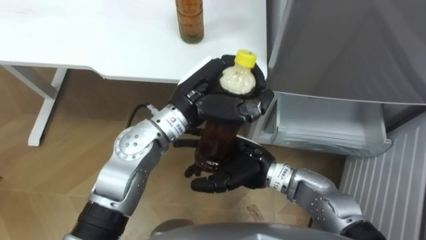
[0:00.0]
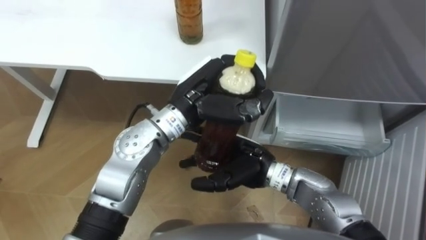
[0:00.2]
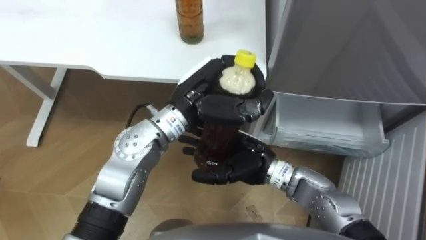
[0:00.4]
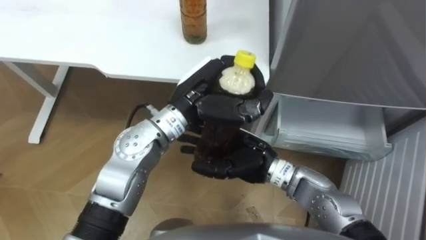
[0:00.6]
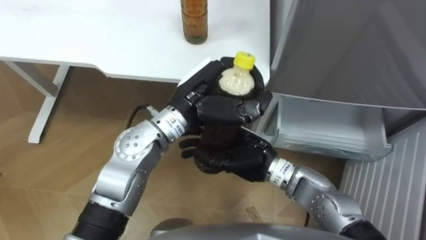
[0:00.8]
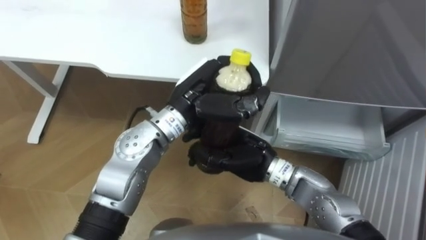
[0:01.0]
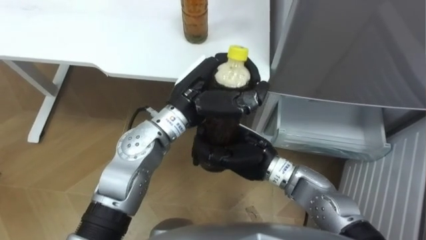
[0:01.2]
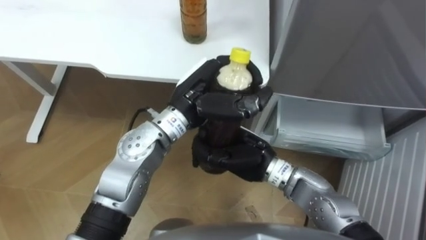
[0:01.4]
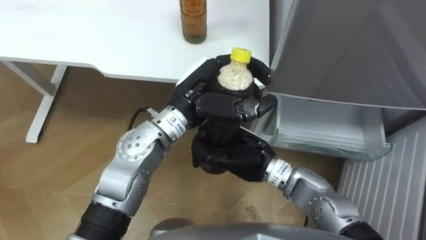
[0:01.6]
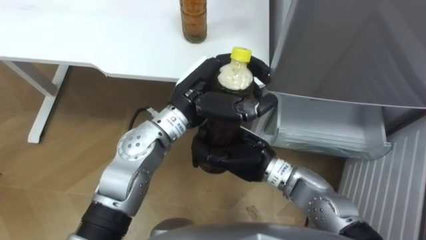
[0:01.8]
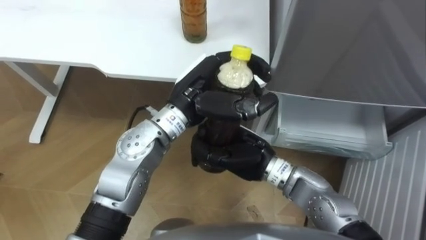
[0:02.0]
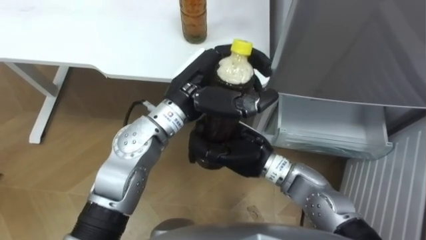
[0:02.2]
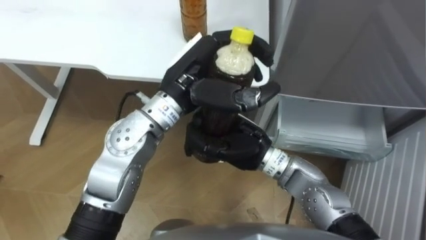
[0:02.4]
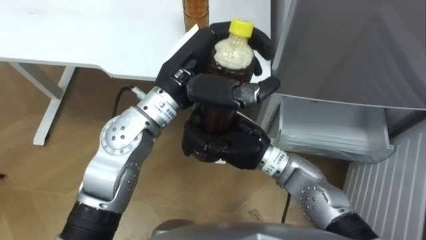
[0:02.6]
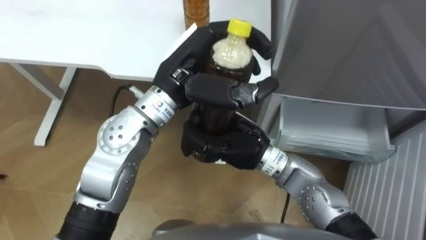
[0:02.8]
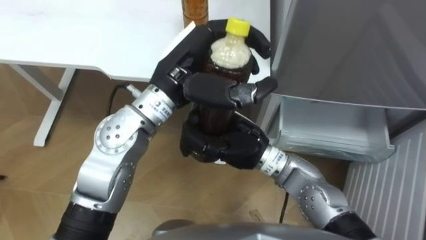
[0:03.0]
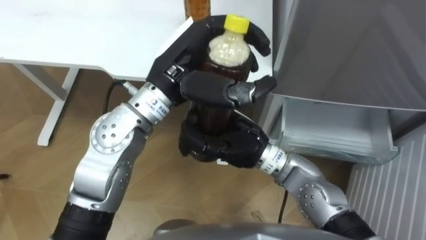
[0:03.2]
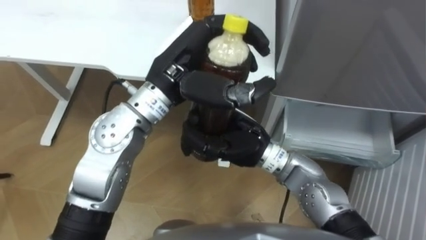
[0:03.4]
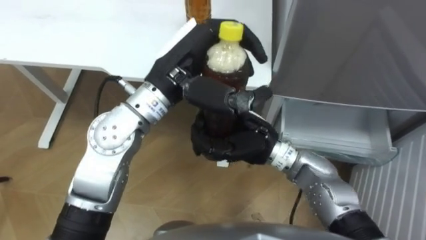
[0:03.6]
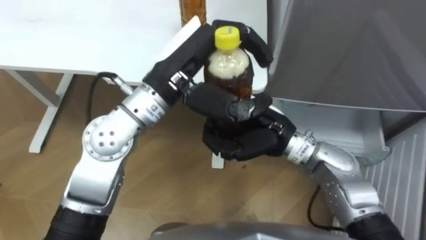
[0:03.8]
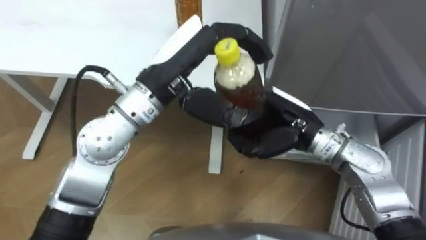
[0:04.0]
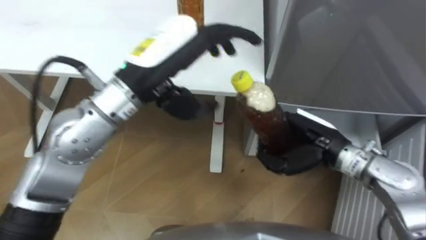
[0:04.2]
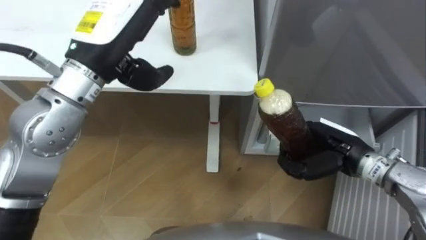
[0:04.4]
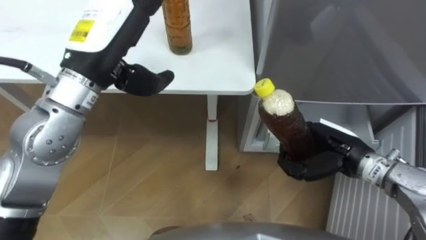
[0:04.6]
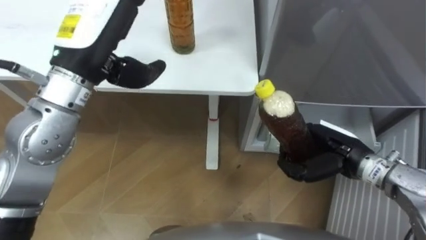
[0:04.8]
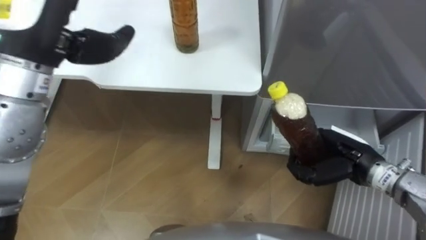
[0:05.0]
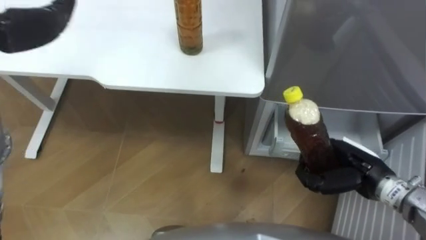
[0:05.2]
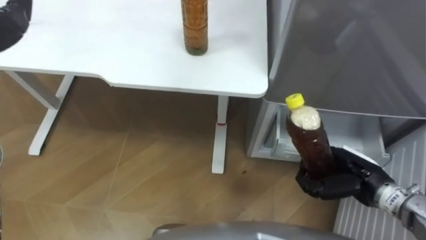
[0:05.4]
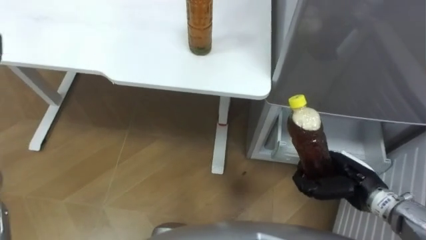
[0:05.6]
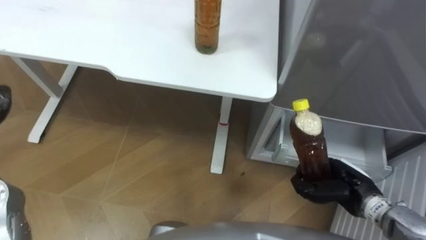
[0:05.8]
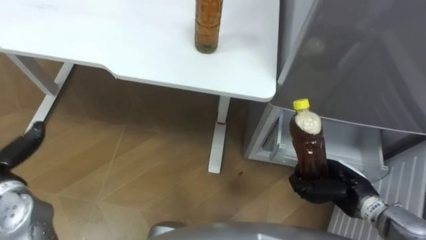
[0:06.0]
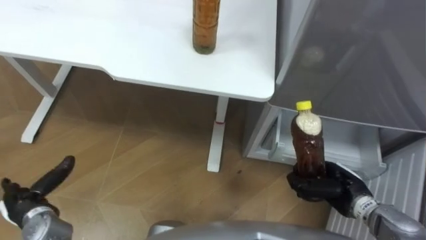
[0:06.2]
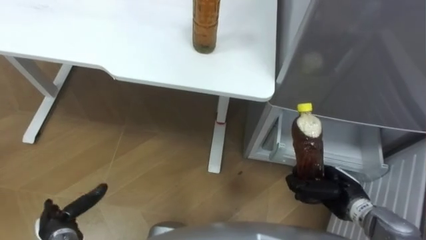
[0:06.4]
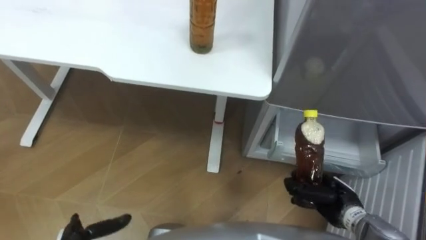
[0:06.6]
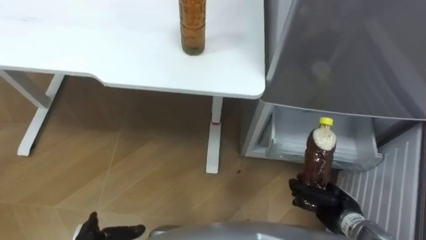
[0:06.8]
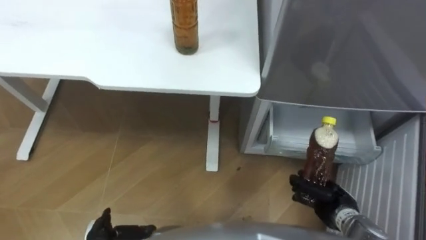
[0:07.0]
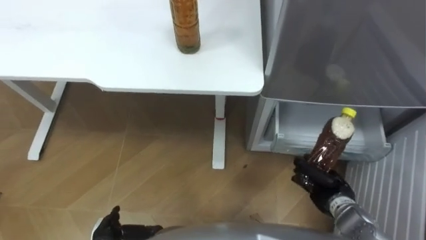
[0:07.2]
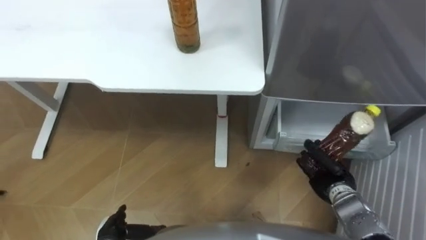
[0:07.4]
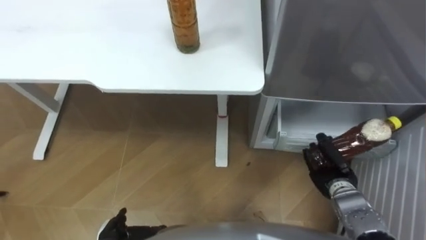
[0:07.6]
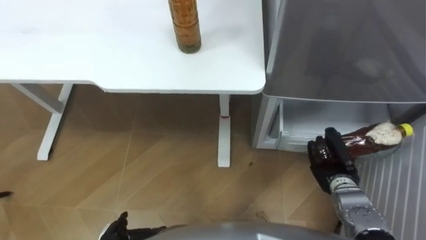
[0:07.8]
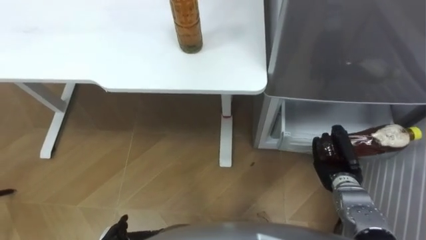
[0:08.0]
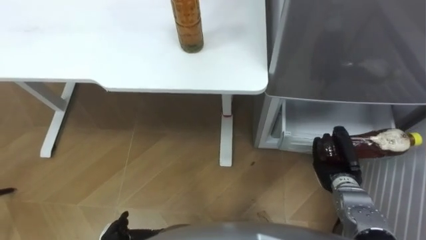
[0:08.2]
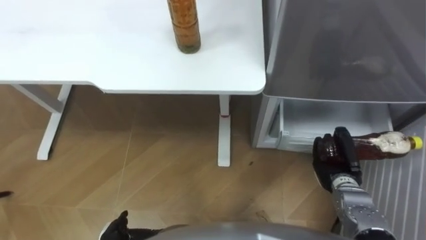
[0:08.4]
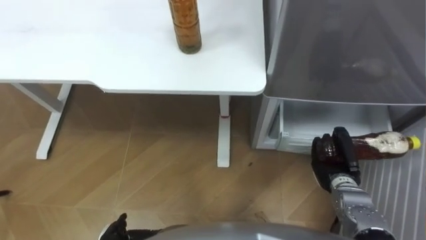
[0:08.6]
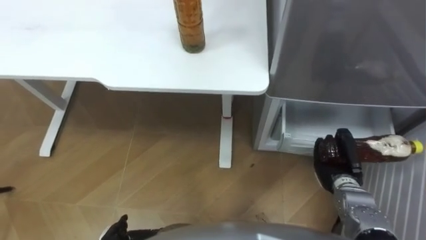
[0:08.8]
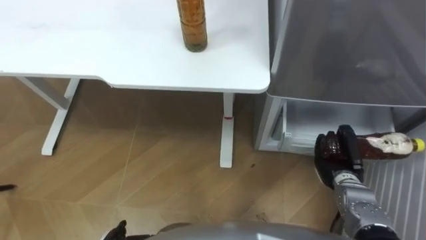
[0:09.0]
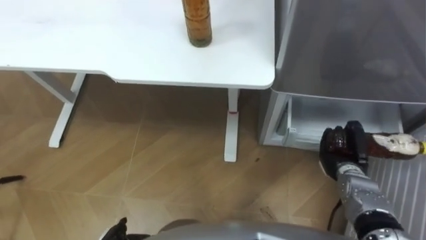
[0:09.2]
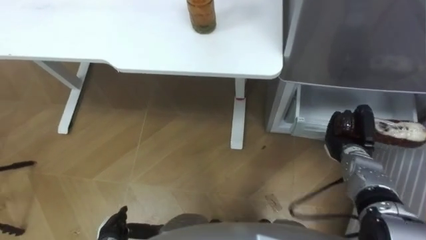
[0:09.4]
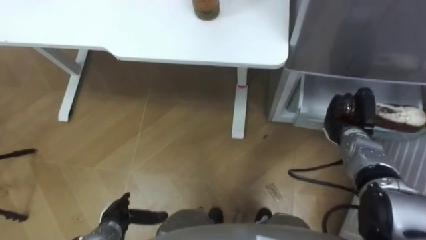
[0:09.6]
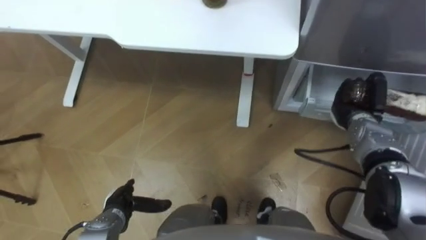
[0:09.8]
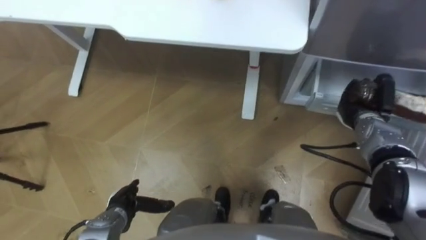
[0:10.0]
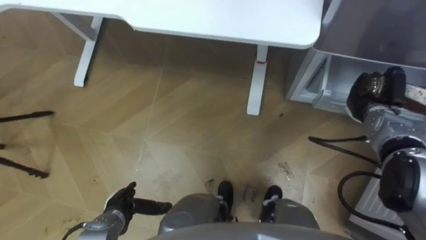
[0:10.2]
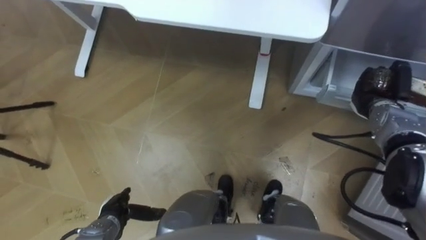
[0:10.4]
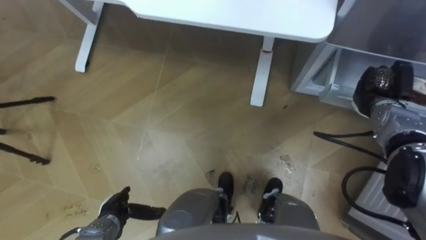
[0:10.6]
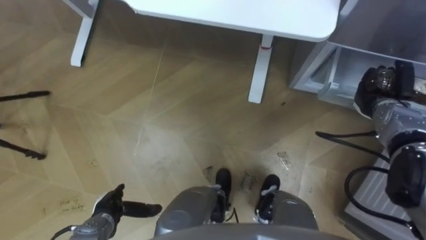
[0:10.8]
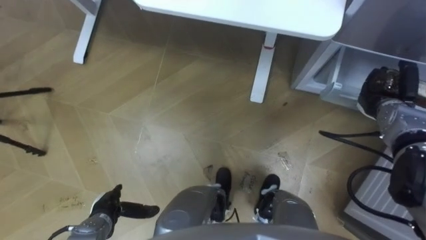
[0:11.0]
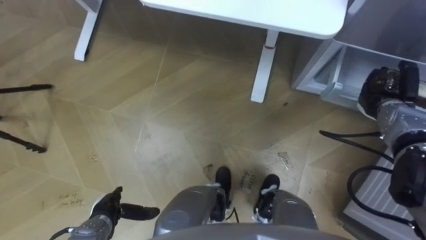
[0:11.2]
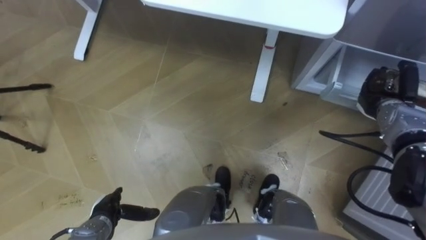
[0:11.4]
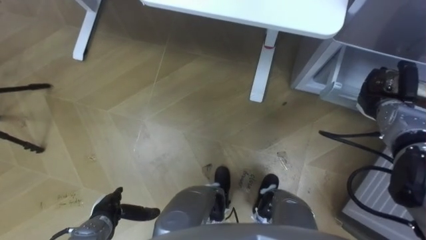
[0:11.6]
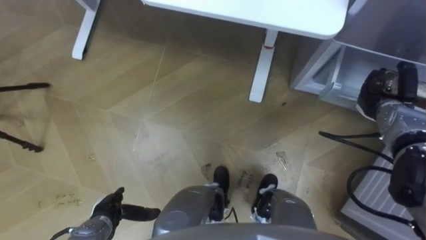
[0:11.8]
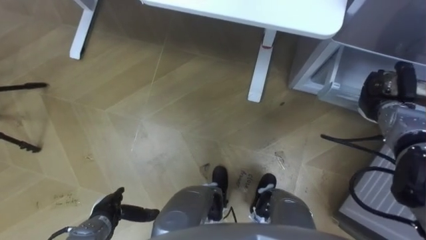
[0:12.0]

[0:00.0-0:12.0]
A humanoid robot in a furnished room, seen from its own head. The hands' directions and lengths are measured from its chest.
Task of the whole recording: Place the drink on the table on the bottom shelf of the refrigerator, then close the drawer and the refrigerator door.
0:00.0 to 0:01.6: The right hand closes up.
0:01.6 to 0:03.0: The left hand travels upward by some 5 cm.
0:03.0 to 0:04.4: The right hand heads to the right, covering about 20 cm. Meanwhile the left hand shifts roughly 10 cm to the left and upward, and opens its fingers.
0:04.4 to 0:06.0: The right hand moves downward and backward, roughly 10 cm.
0:06.0 to 0:07.6: The right hand moves downward, roughly 5 cm.
0:09.0 to 0:10.4: The right hand heads forward, upward and to the right, covering approximately 15 cm.

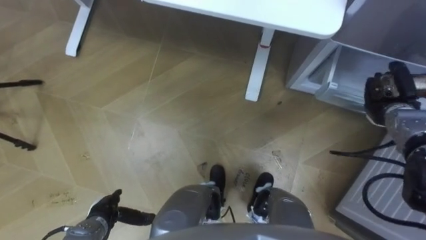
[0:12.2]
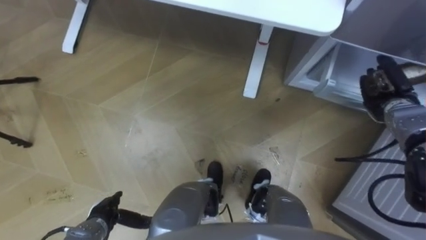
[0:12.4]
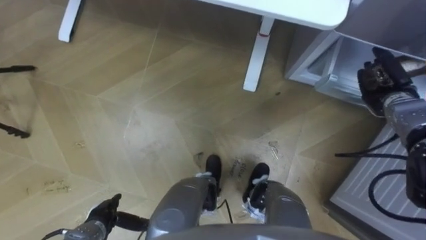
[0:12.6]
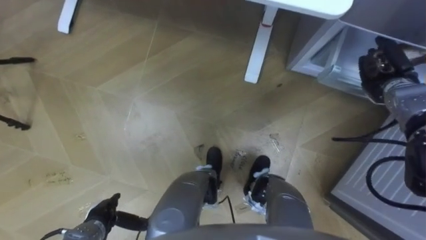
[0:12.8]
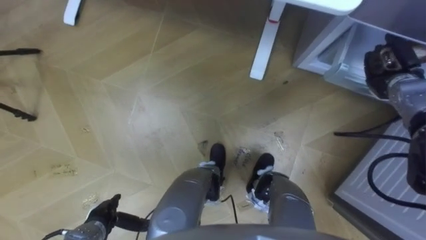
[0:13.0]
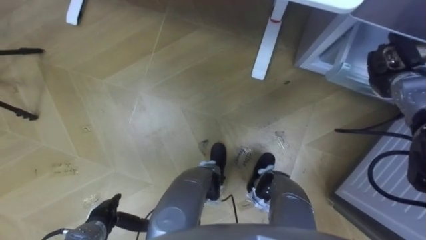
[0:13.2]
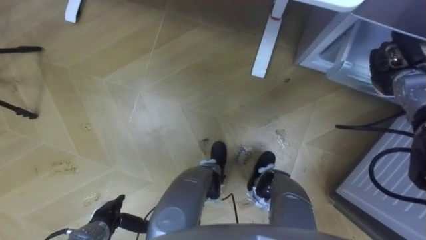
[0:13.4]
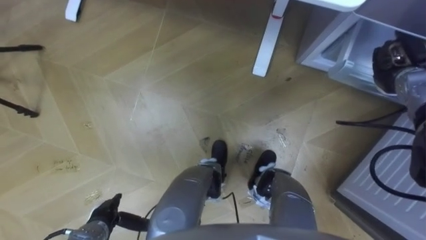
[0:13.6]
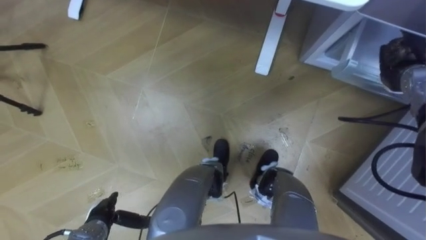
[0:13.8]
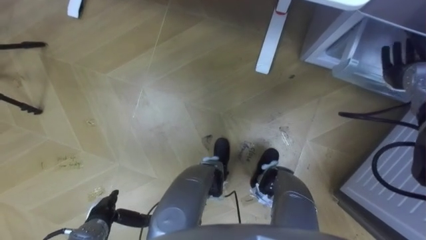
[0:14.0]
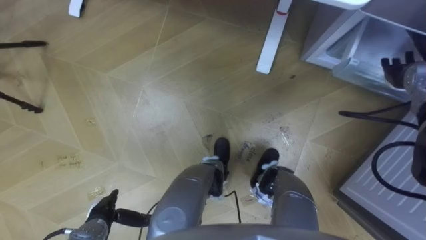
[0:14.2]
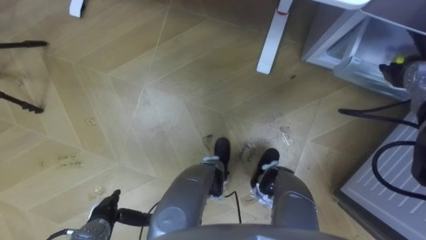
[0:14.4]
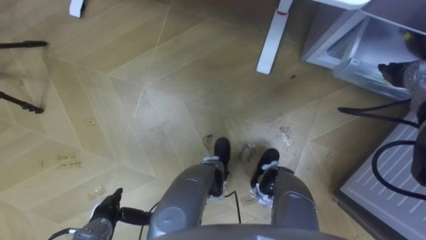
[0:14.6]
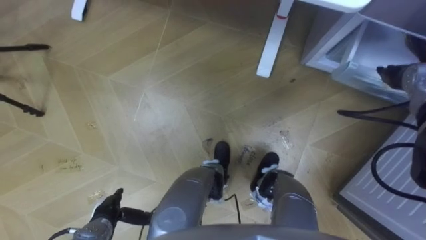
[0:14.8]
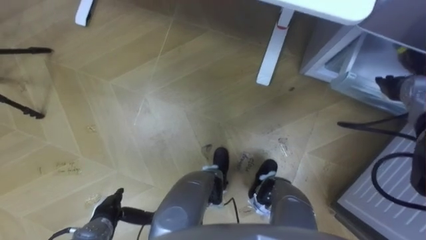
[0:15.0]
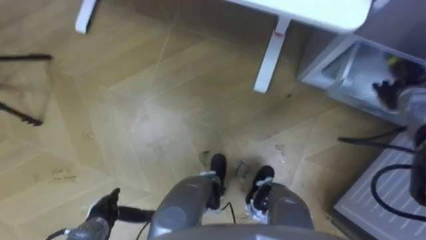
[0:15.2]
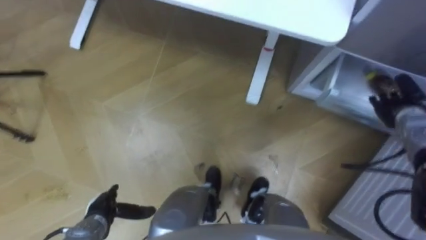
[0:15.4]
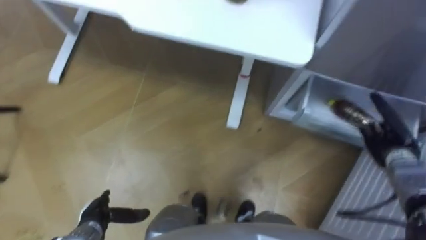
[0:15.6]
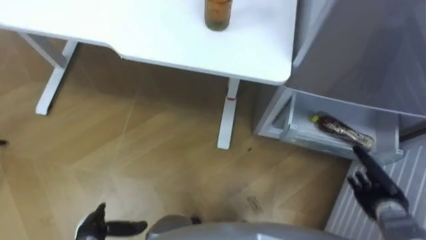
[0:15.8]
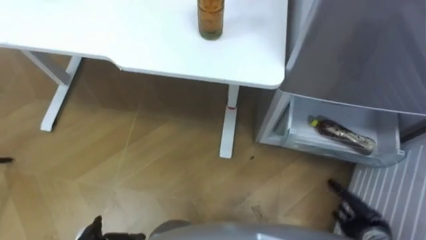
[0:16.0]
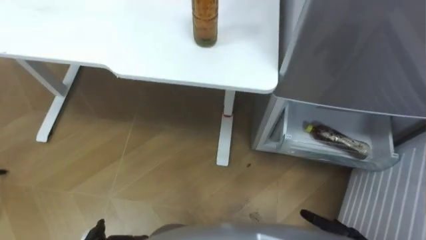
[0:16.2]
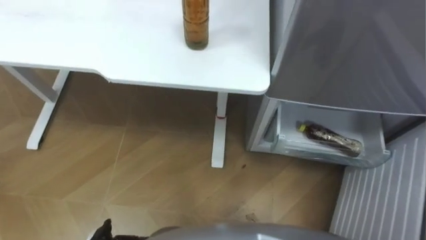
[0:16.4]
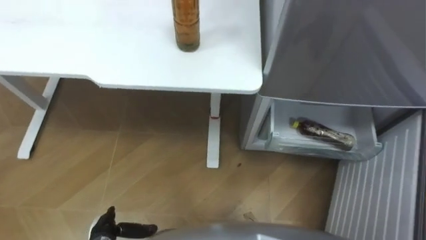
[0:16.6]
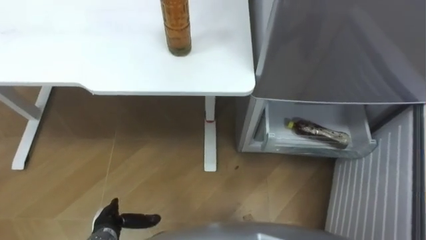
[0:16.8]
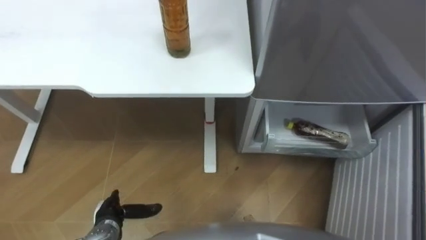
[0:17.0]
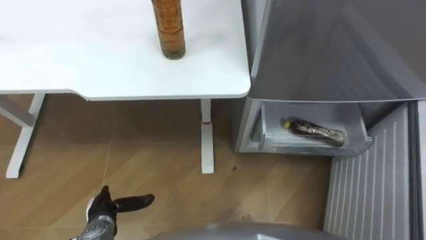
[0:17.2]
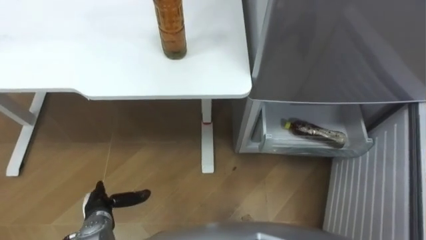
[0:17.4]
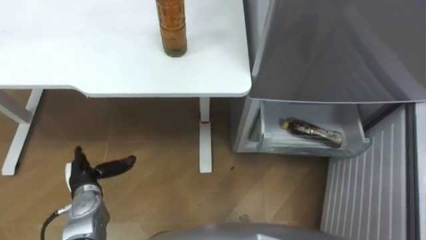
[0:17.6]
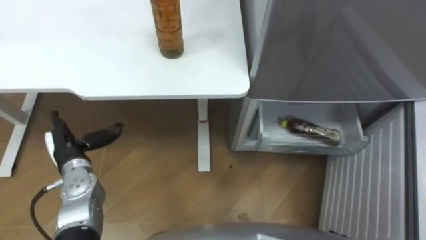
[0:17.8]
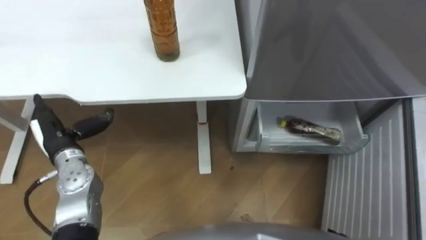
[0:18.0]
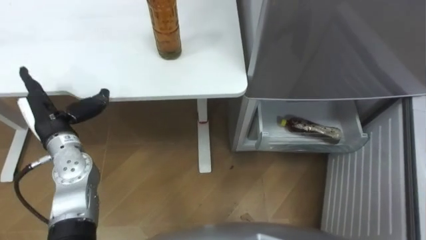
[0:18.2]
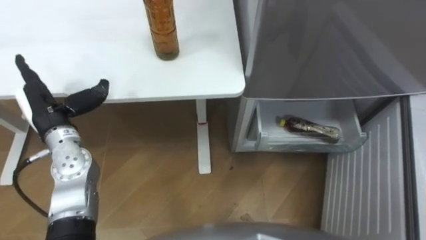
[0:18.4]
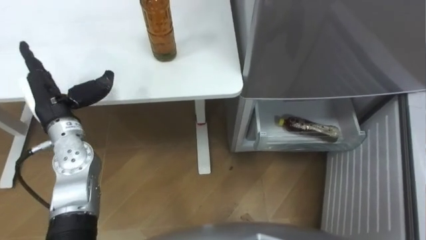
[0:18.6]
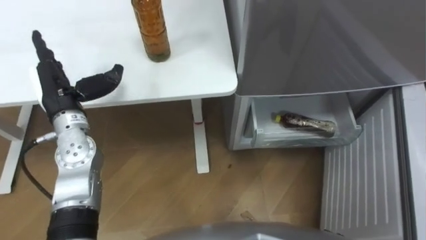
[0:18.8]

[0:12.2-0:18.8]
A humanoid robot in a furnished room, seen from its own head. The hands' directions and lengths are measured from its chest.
Task of the whole recording: Place the drink on the table on the bottom shelf of the refrigerator, then close the drawer and the refrigerator door.
0:12.2 to 0:13.8: The right hand moves upward, some 5 cm.
0:13.8 to 0:15.4: The right hand shifts some 10 cm downward and backward, and opens.
0:17.2 to 0:18.8: The left hand shifts about 30 cm upward and forward.
